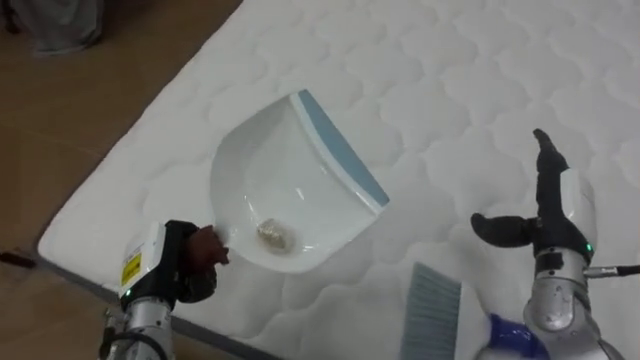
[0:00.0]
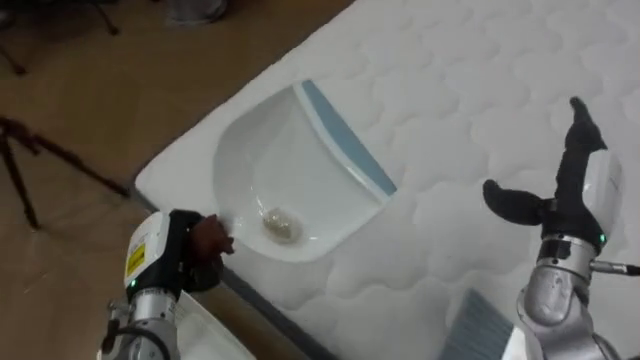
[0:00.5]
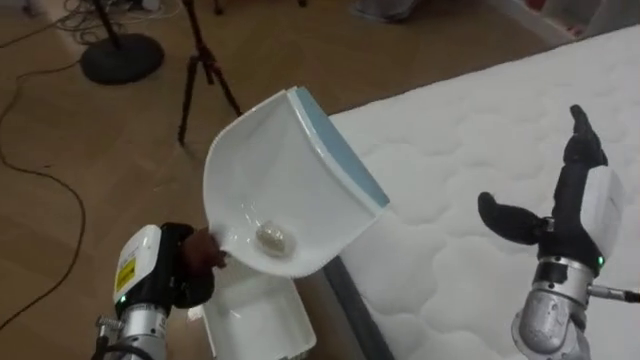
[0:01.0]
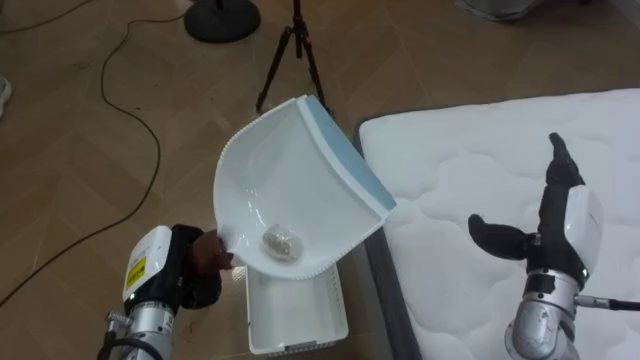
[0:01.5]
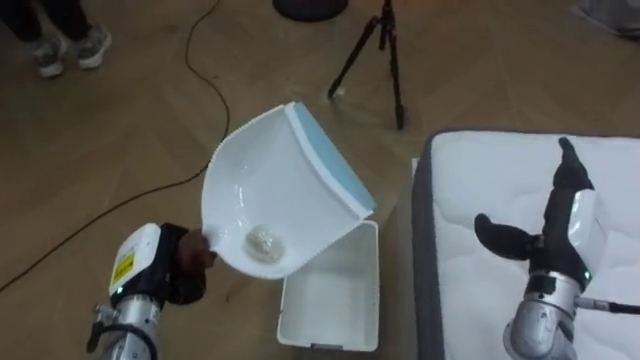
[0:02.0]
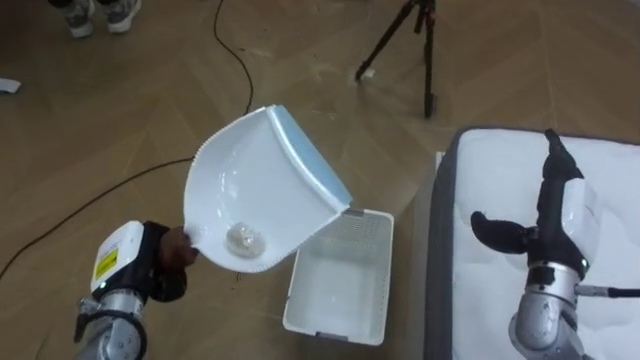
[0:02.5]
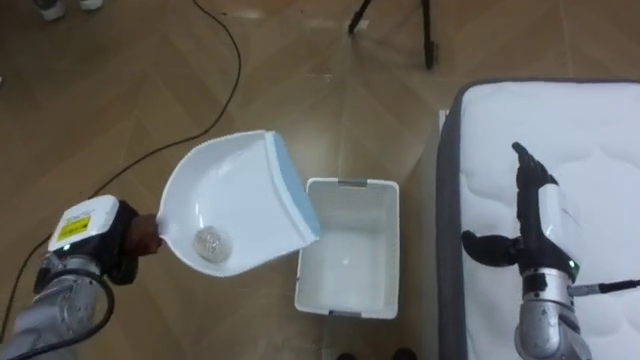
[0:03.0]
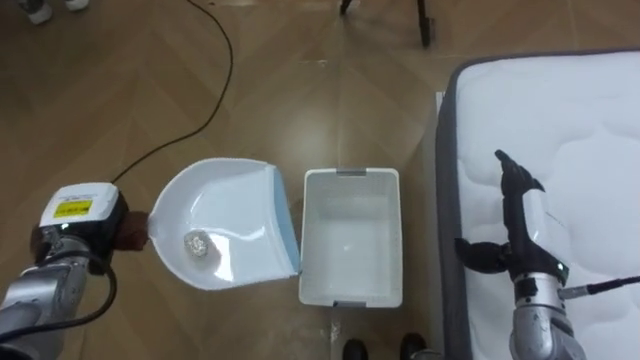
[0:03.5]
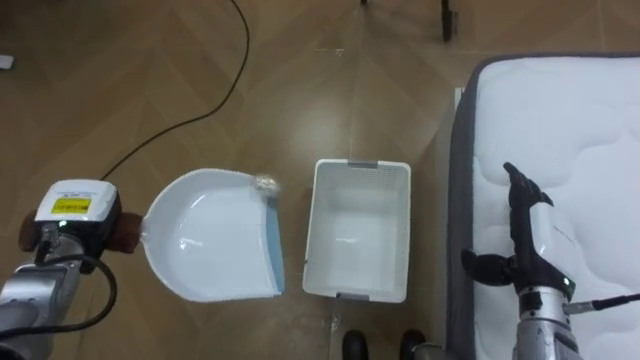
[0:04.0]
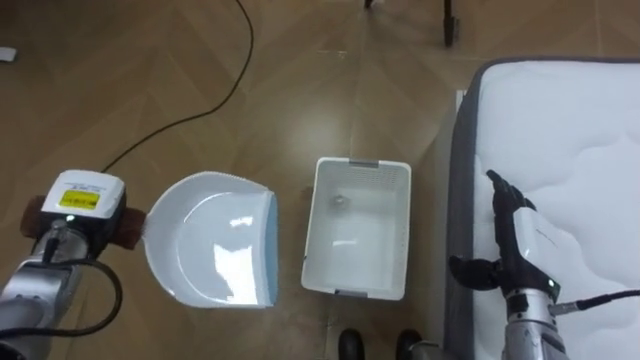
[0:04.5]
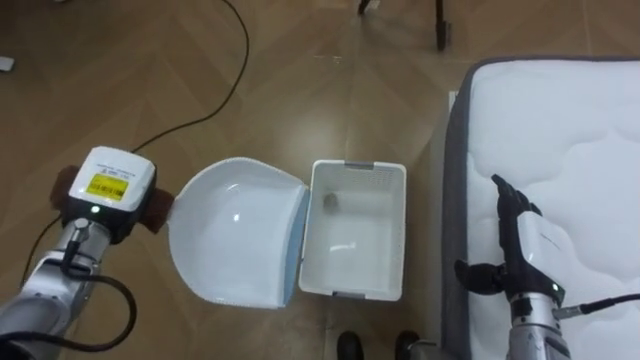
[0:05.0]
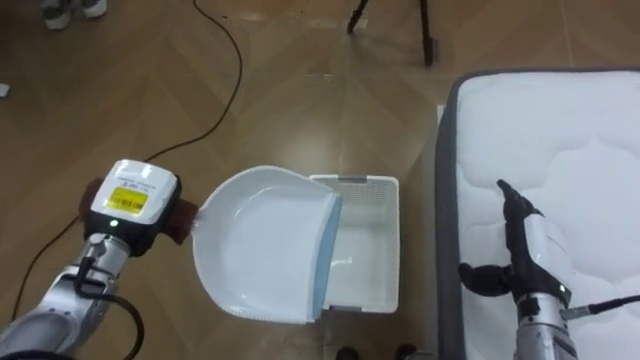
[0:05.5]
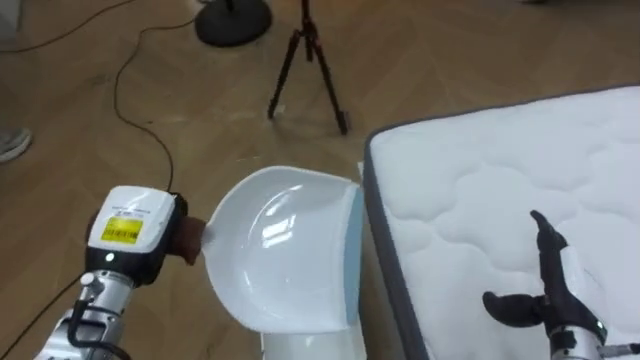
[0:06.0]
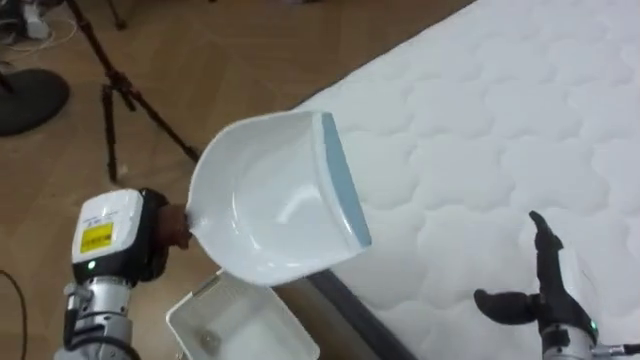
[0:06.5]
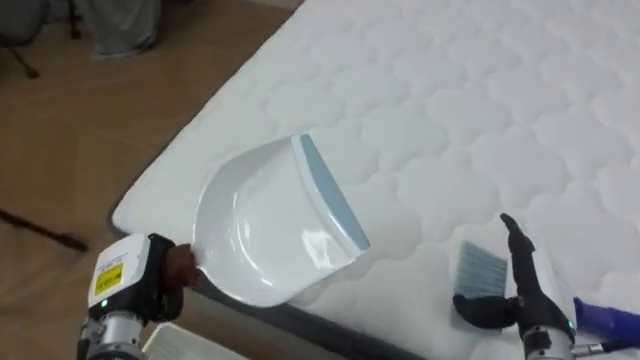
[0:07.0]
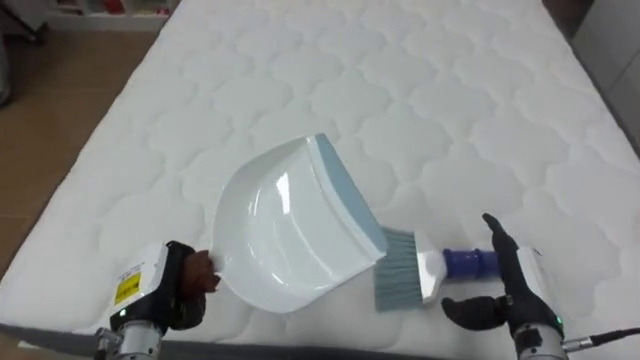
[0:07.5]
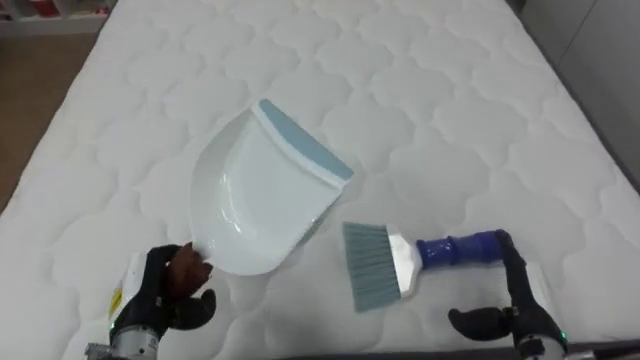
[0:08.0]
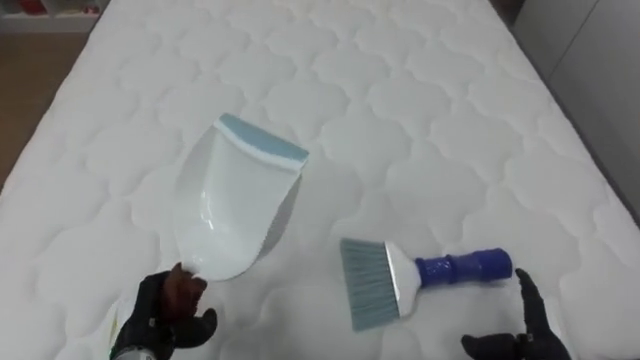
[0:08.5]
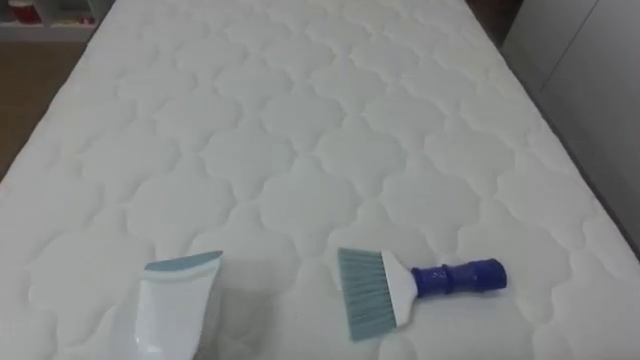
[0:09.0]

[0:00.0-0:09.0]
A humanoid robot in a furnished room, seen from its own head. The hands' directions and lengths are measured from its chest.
Task of the whole recording: Pick up the brush on your right and the dustpan on your left. Use the brush to sweep the crumpled paper on the bed into the dustpan, then turn left and empty it into the basket.
0:00.0 to 0:02.0: The robot turns to its left by approximately 75 degrees.
0:02.0 to 0:04.5: The right hand shifts by approximately 5 cm. Meanwhile the left hand travels to the left and forward by some 10 cm.
0:04.5 to 0:07.0: The robot faces some 80 degrees further to its right. The left hand heads backward and to the right, covering approximately 10 cm. Meanwhile the right hand shifts by some 5 cm.
0:07.0 to 0:09.0: The robot turns to its right by roughly 30 degrees.

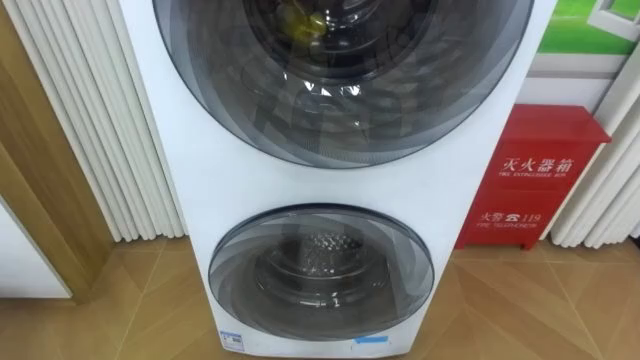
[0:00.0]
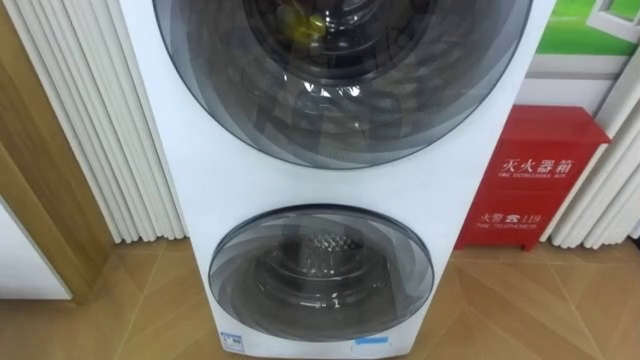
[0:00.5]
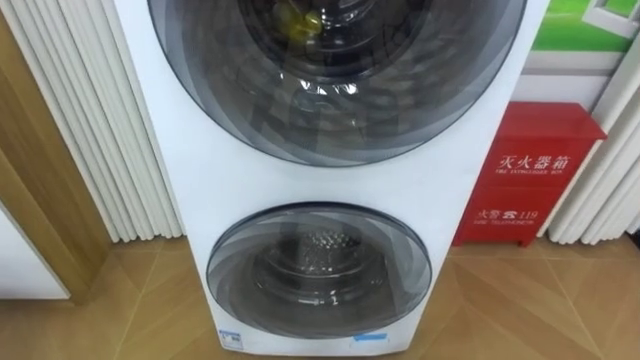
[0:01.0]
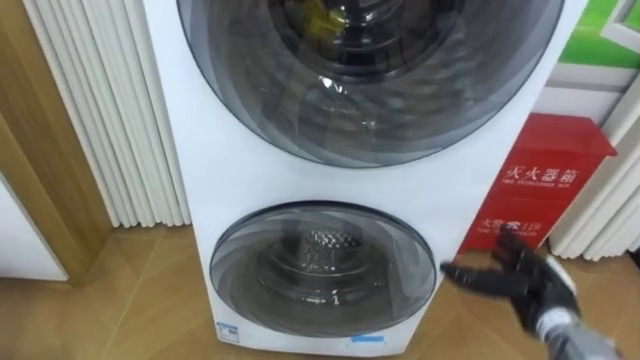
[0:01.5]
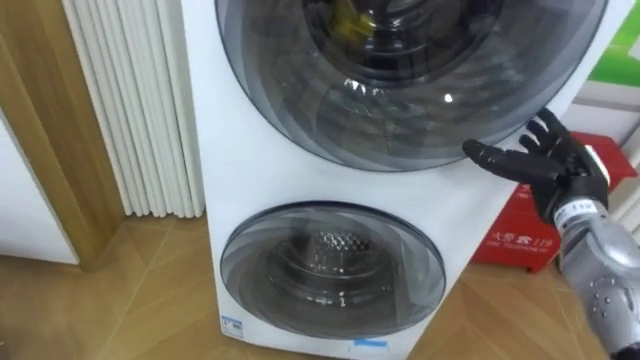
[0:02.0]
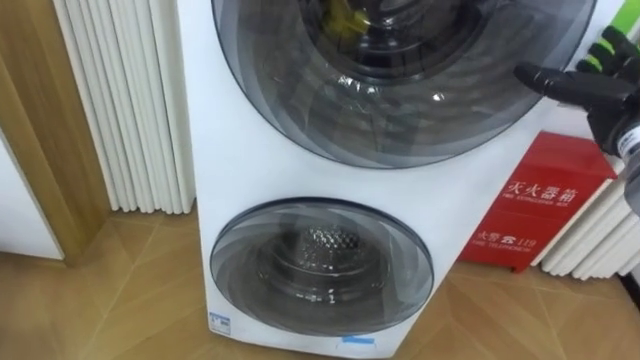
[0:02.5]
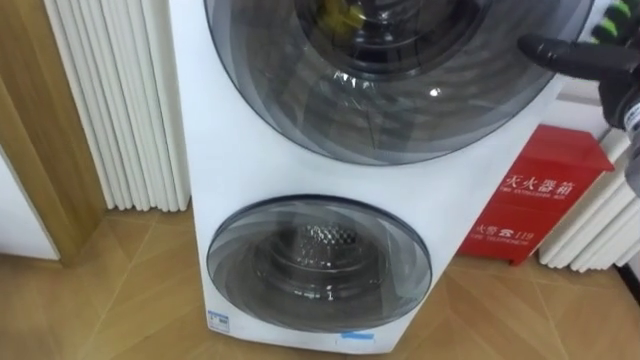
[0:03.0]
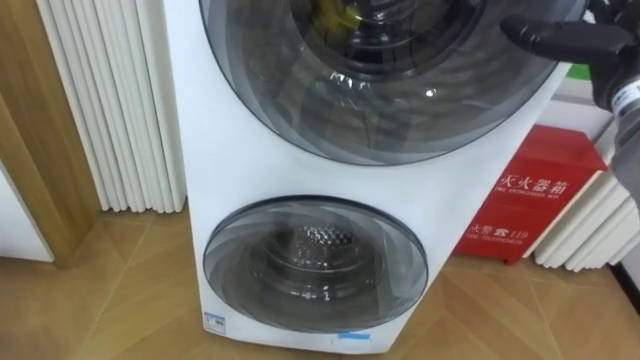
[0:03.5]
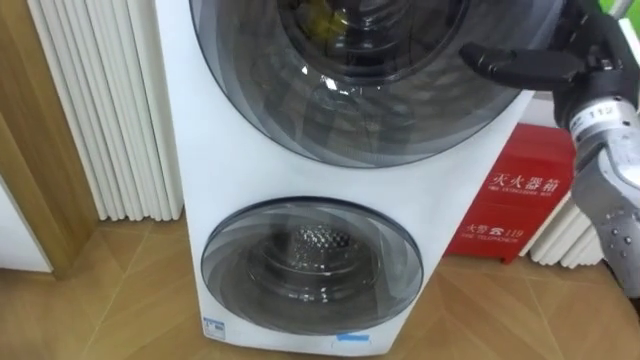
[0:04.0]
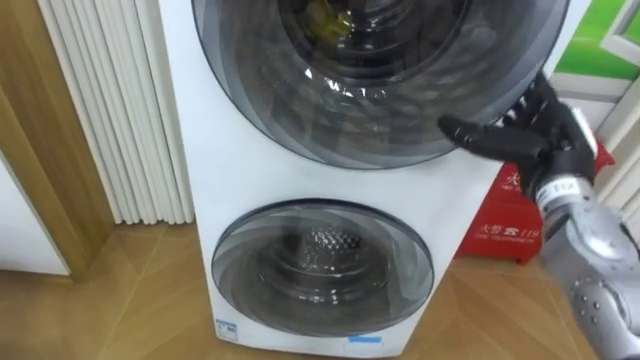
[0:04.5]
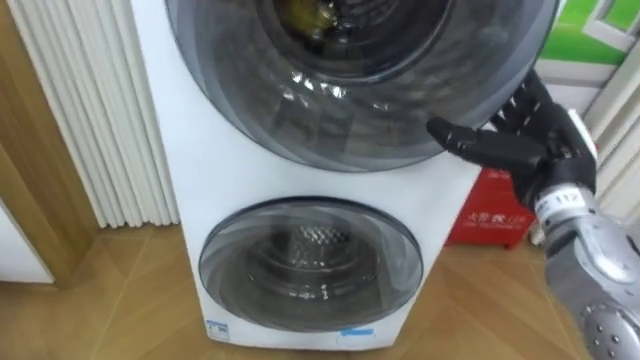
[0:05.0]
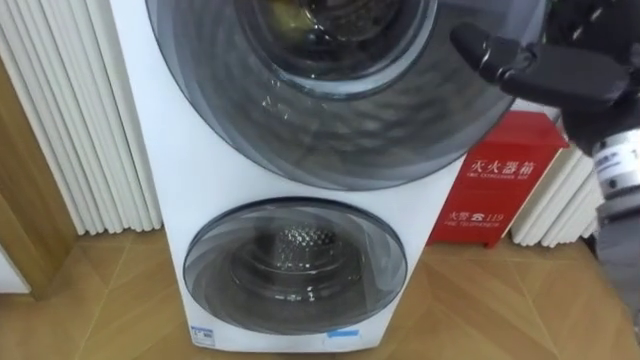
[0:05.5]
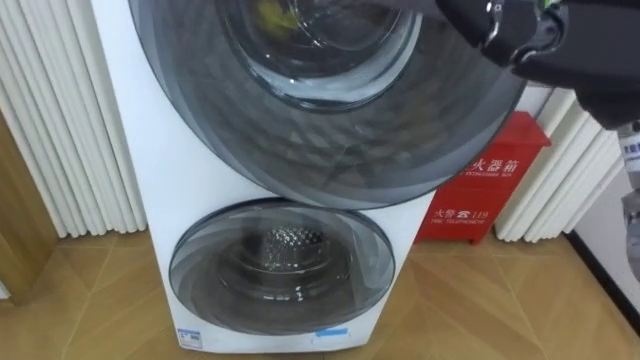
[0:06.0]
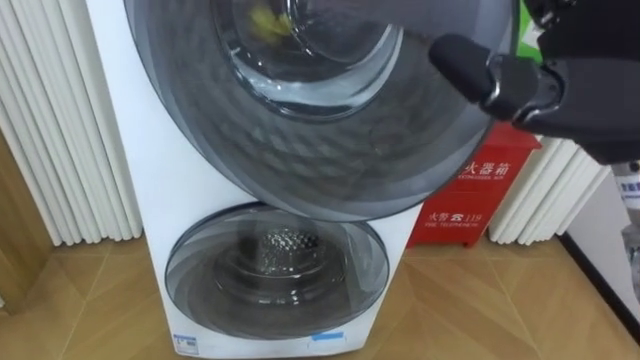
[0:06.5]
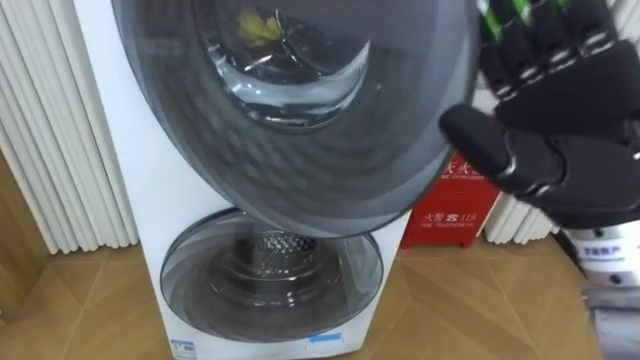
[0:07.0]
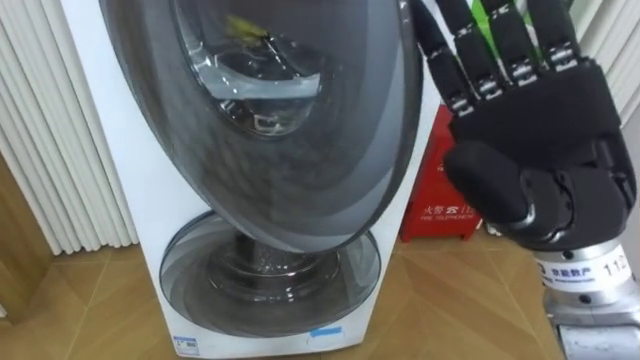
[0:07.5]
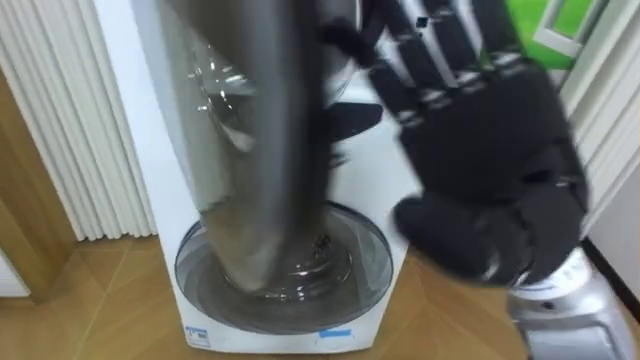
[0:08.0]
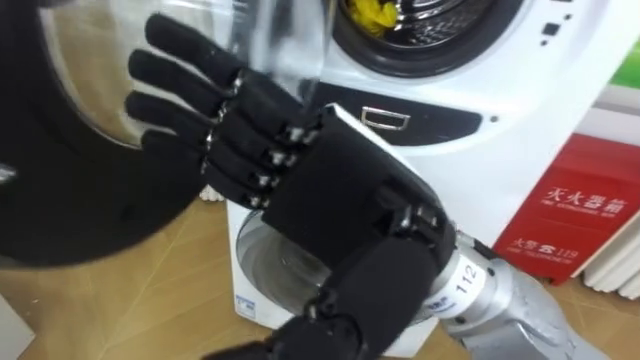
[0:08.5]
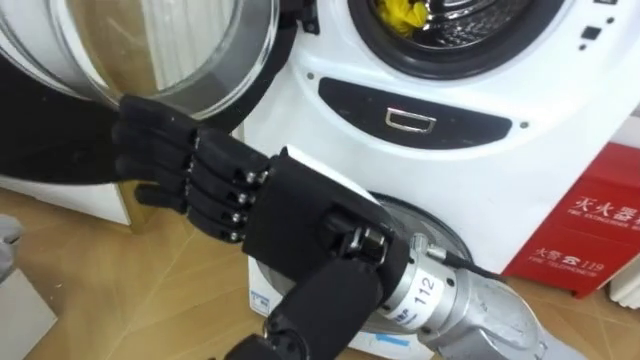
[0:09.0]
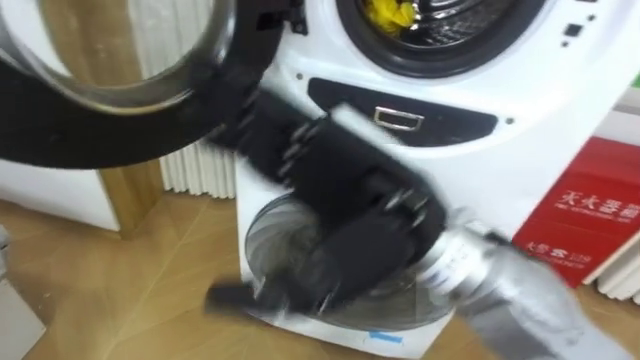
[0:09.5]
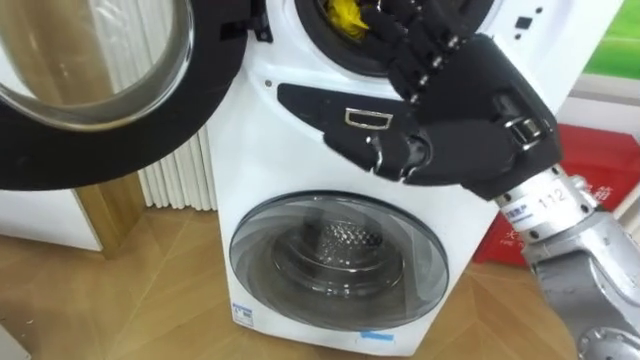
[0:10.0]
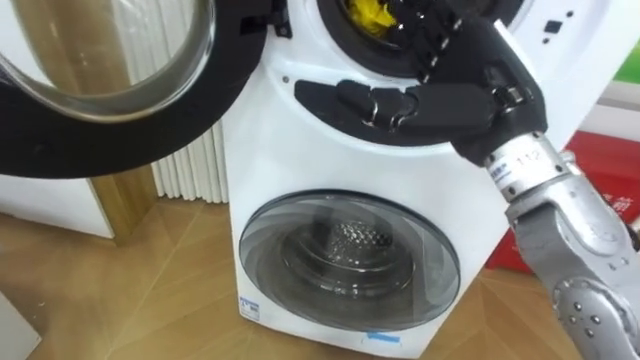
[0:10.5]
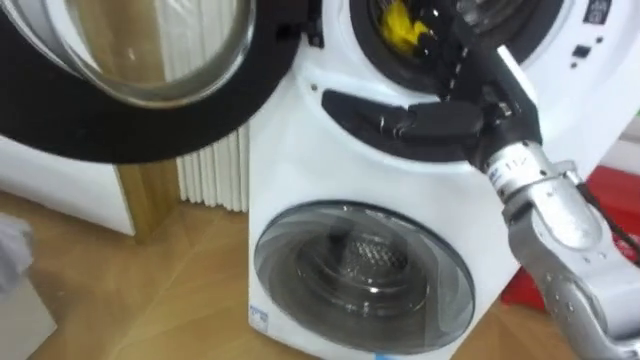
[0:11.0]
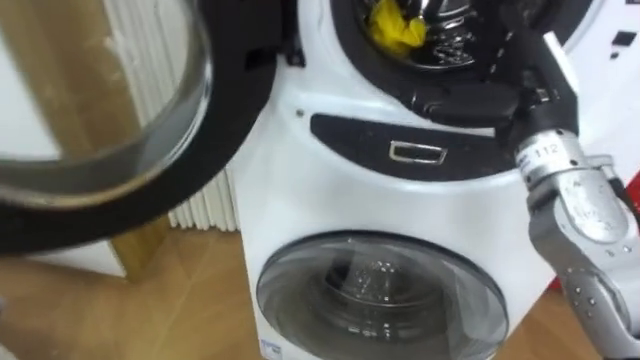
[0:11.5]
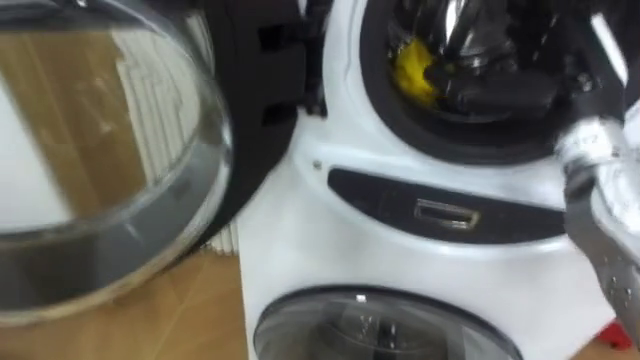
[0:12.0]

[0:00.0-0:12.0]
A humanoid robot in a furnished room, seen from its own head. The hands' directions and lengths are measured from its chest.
Task of the whole recording: Open the washing machine door, take out the yellow clothes, place them in the box on the right, and close the washing machine door.
0:02.0 to 0:04.0: The right hand moves upward, about 15 cm.
0:04.0 to 0:06.0: The right hand shifts approximately 15 cm backward, upward and to the left.
0:06.0 to 0:08.0: The right hand goes some 10 cm to the left and downward.
0:08.0 to 0:10.0: The right hand goes about 5 cm forward, and goes to the left and returns, about 10 cm each way.
0:10.0 to 0:12.0: The right hand moves to the right and forward, about 10 cm.
